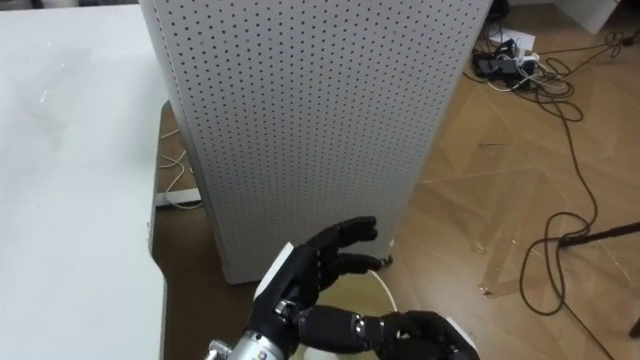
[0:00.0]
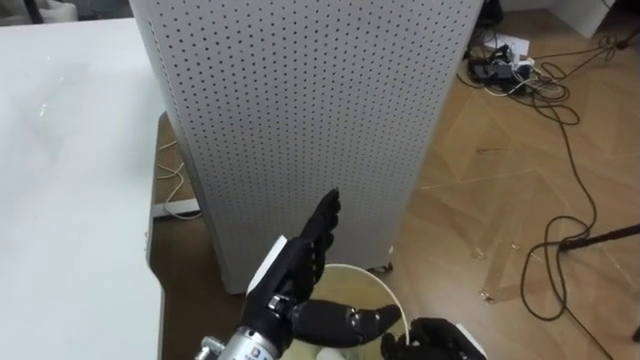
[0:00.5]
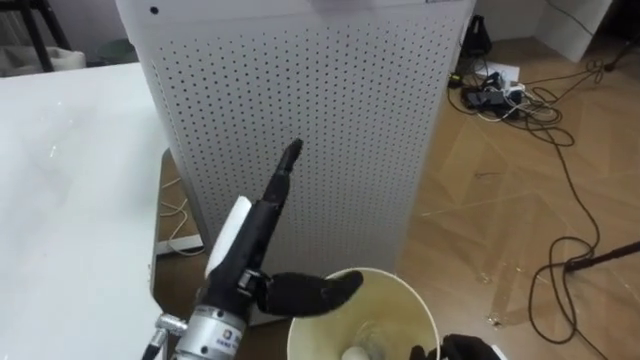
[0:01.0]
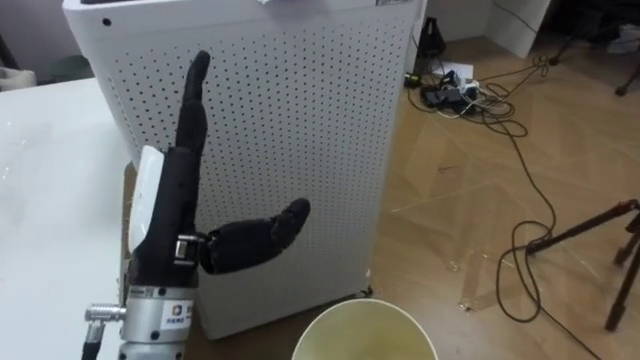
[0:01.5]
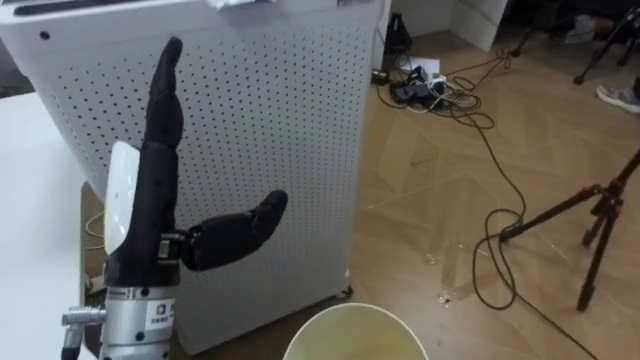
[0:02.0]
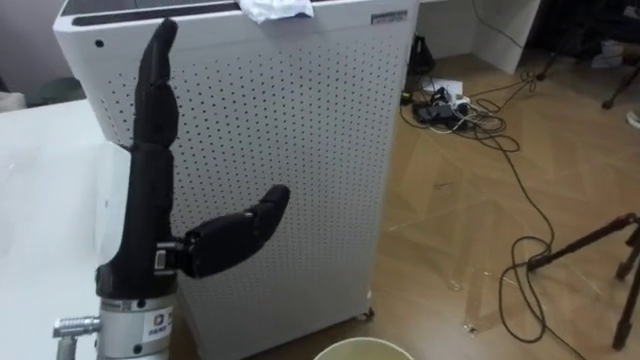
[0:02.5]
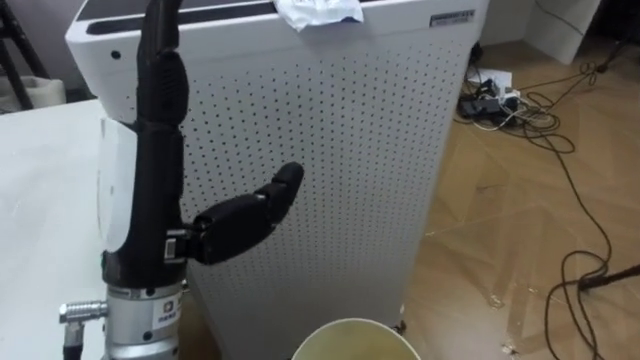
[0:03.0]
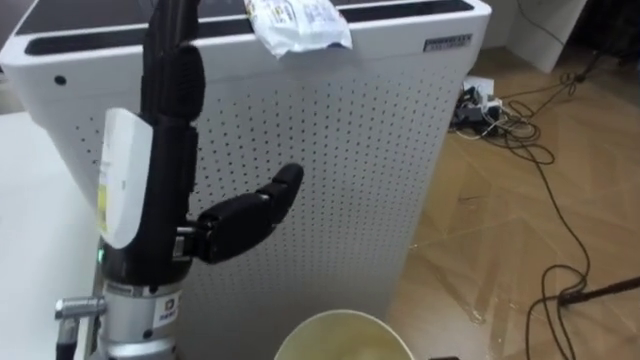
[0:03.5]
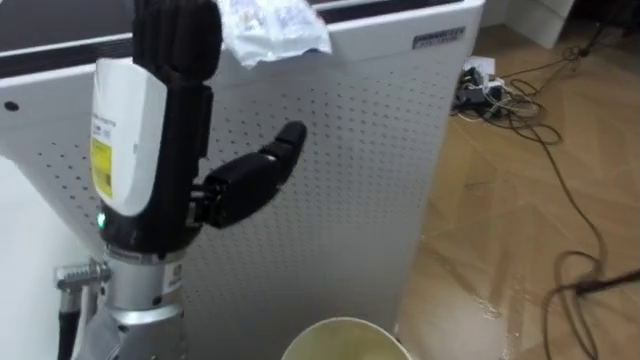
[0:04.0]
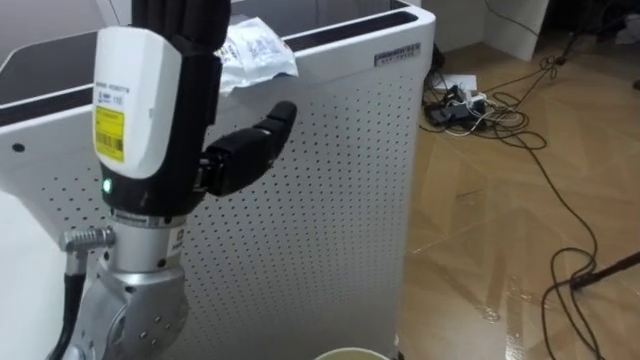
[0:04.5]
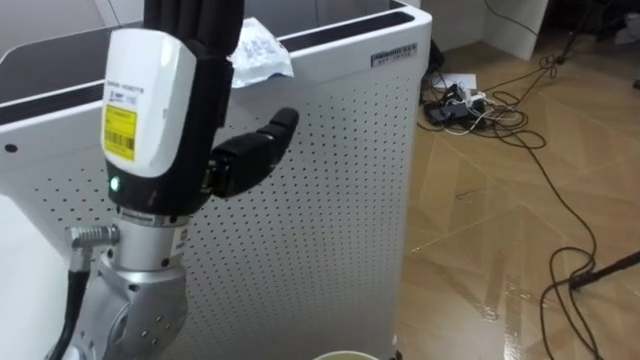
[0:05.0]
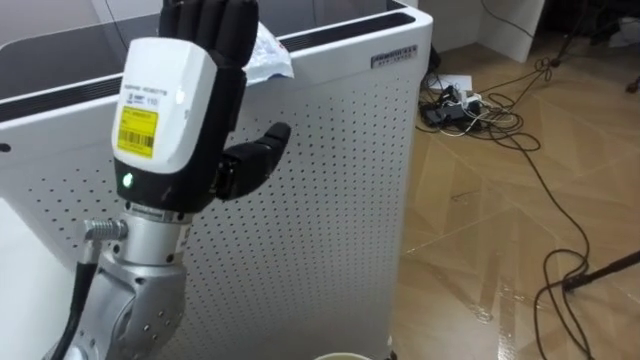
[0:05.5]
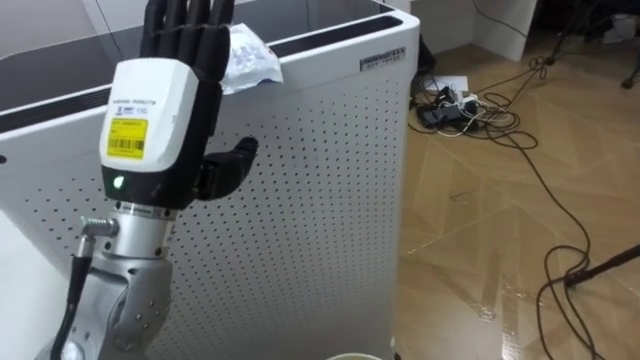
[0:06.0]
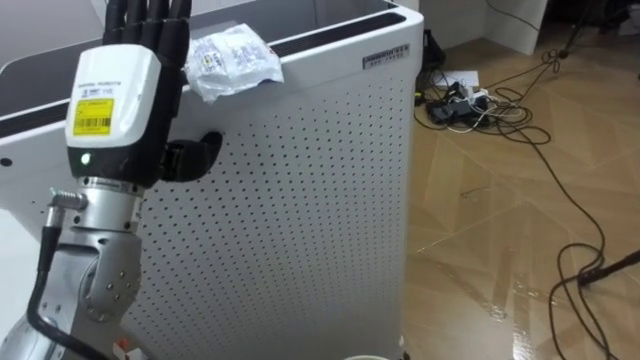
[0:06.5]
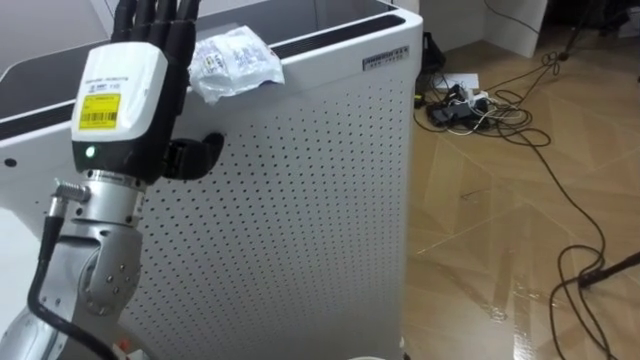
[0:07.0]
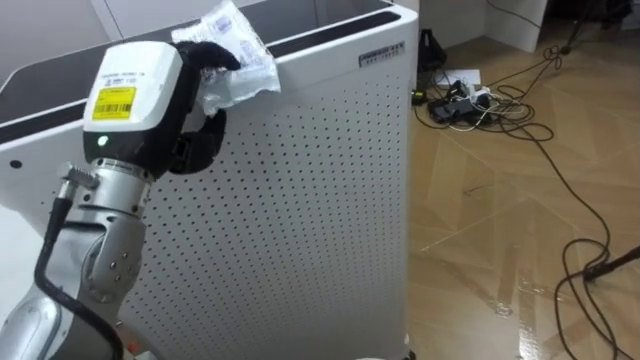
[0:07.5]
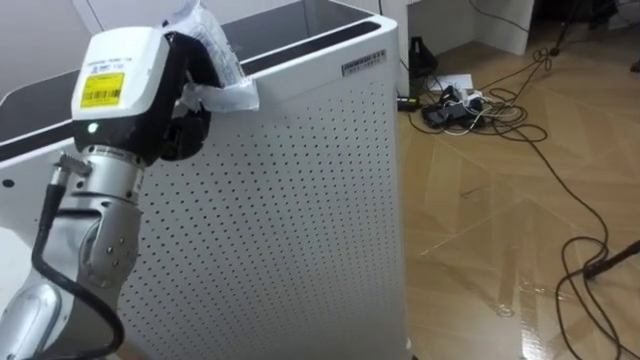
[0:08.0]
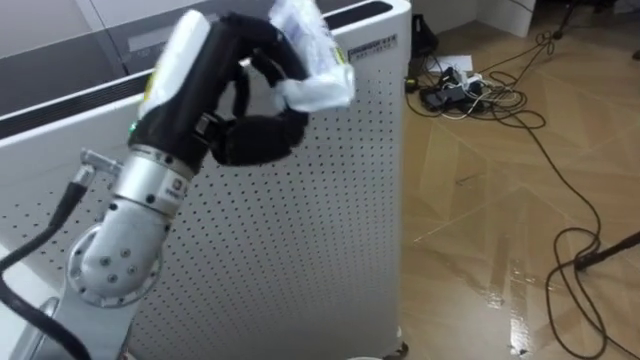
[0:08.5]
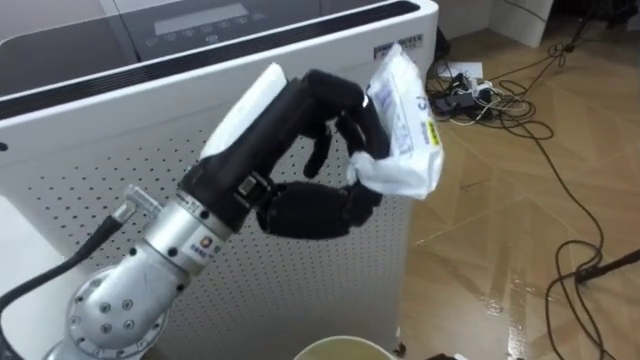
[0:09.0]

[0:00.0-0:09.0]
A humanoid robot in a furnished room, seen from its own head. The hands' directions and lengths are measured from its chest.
Task of the whole recording: Pick up the light blue package, the candy box, and the dark blue package separately, and put them into the trash can held in your right hand.
0:00.0 to 0:02.0: The robot turns to its right by some 15 degrees. The left hand is displaced upward and to the left by about 20 cm.
0:02.0 to 0:04.5: The left hand shifts approximately 10 cm upward.
0:04.5 to 0:07.0: The left hand travels forward and to the left by approximately 10 cm.
0:07.0 to 0:09.0: The left hand moves to the right and backward, some 10 cm, and closes its fingers.

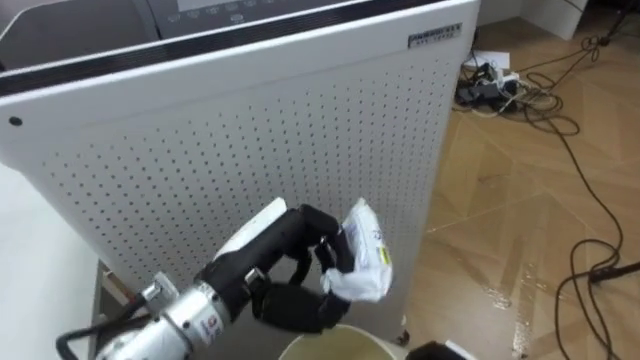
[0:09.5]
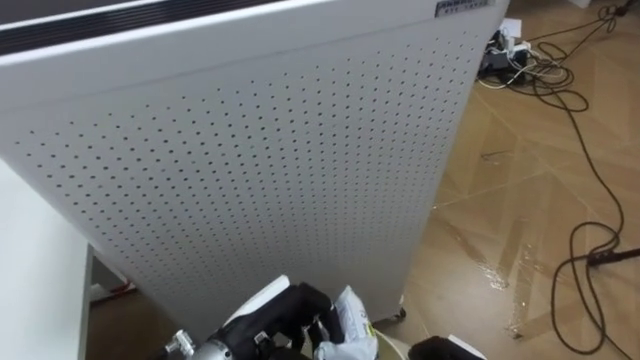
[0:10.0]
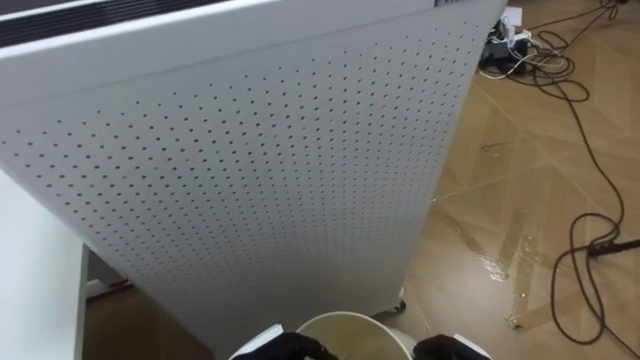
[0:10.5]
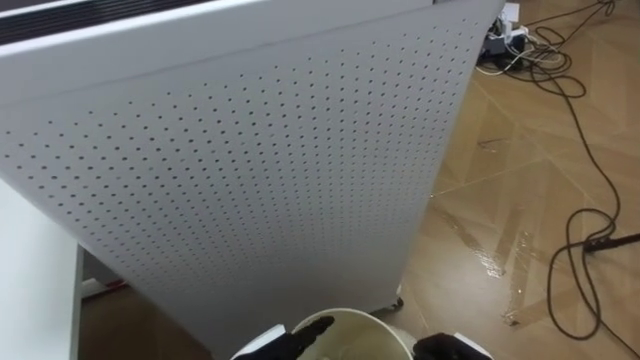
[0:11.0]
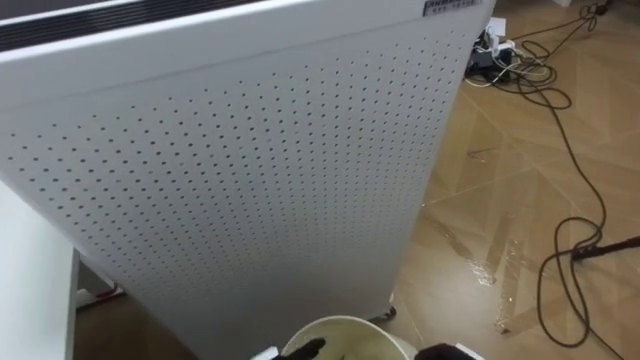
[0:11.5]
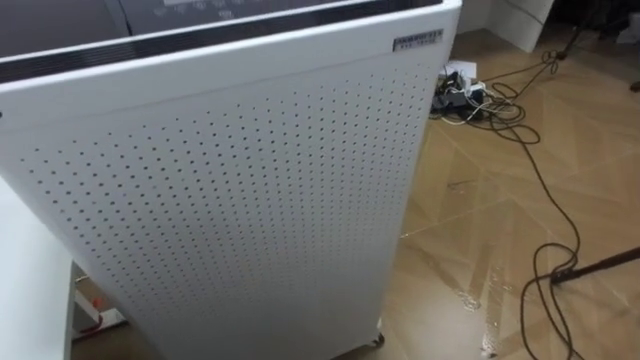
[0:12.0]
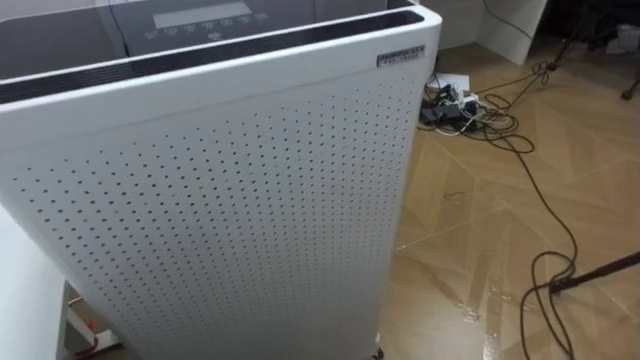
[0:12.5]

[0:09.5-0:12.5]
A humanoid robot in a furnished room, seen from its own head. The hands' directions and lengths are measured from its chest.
Task of the whole recording: Pick up the light blue package, the candy box, and the dark blue package separately, and put them into the trash can held in your right hand.
0:09.5 to 0:11.0: The left hand moves downward, some 20 cm, and opens.

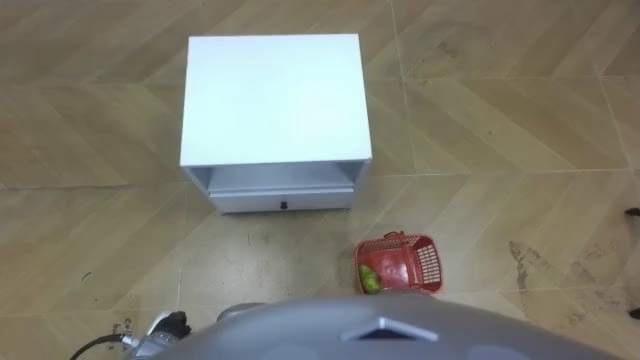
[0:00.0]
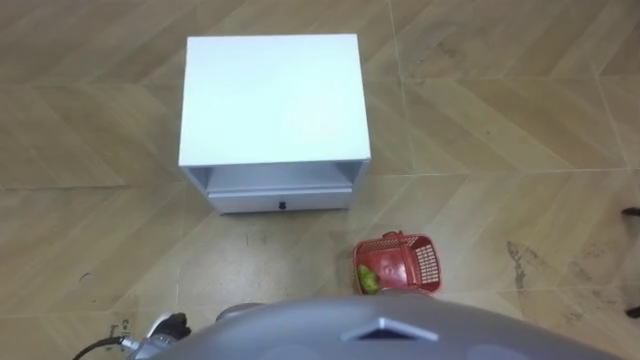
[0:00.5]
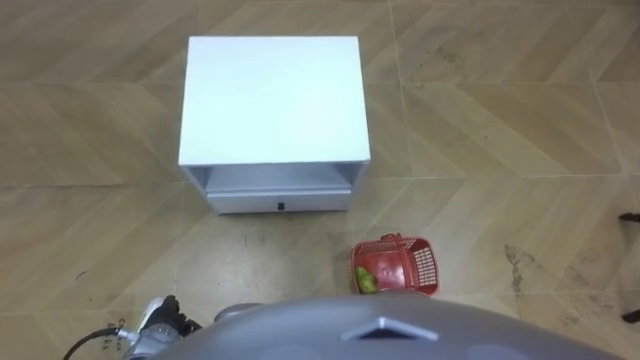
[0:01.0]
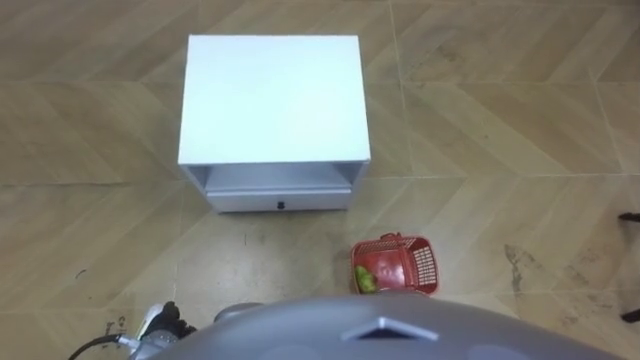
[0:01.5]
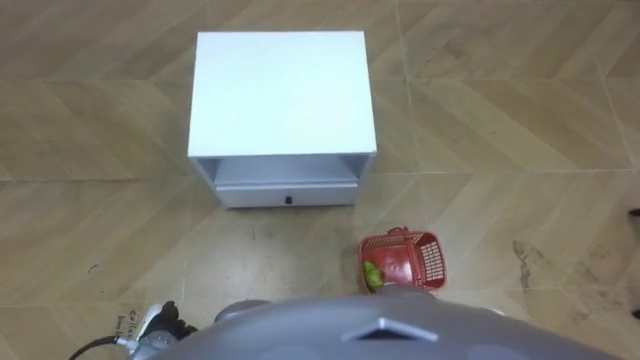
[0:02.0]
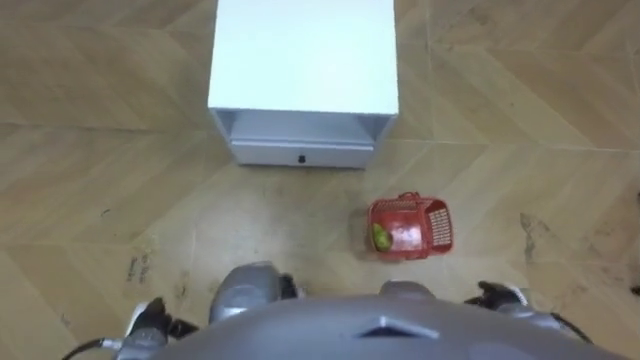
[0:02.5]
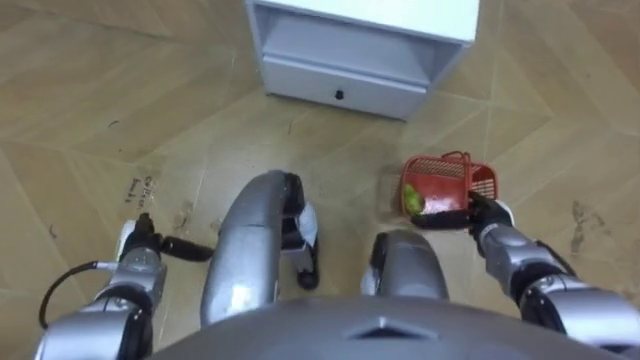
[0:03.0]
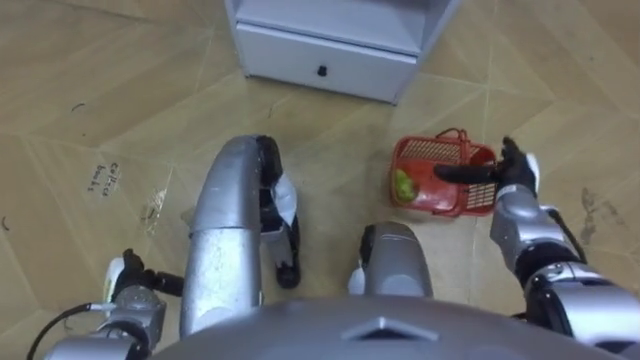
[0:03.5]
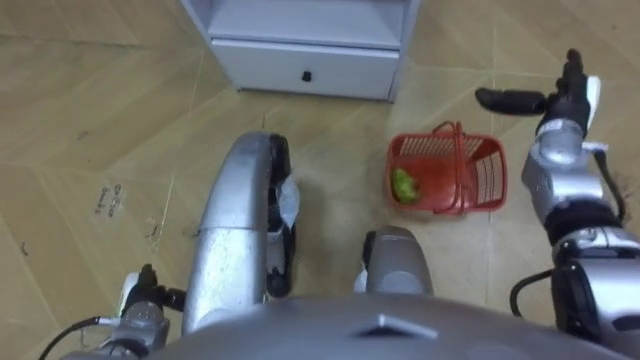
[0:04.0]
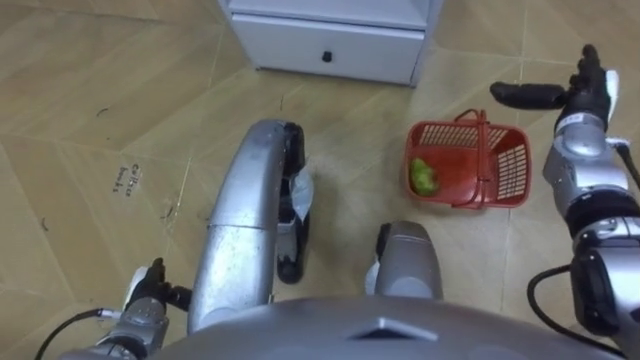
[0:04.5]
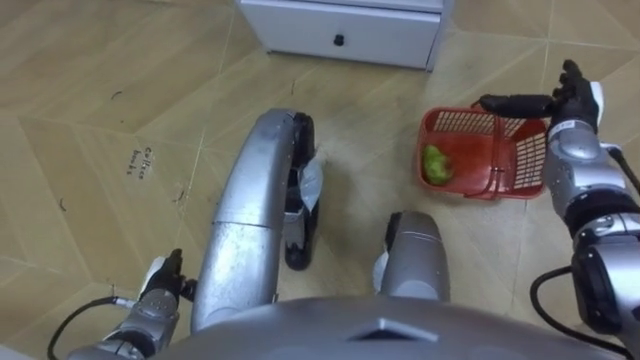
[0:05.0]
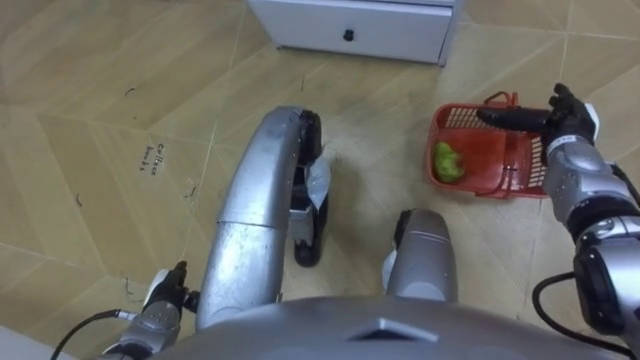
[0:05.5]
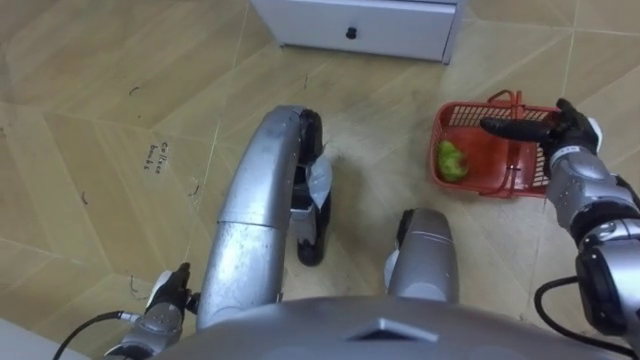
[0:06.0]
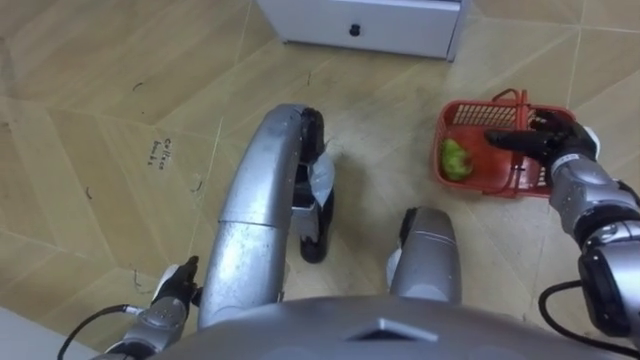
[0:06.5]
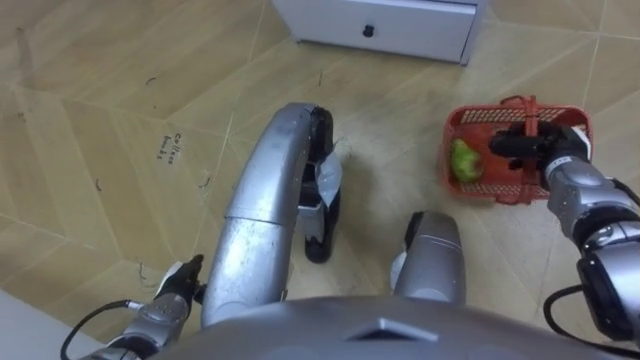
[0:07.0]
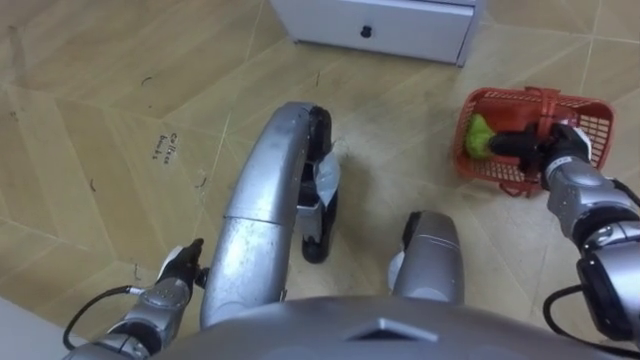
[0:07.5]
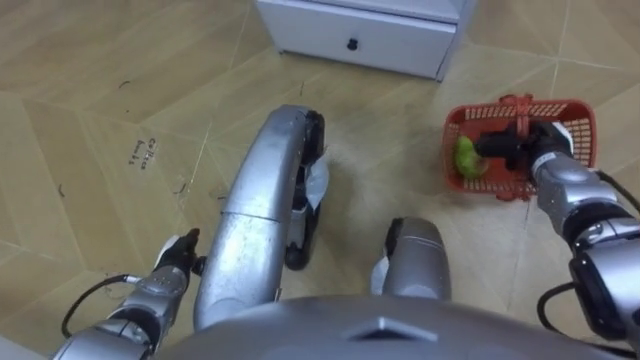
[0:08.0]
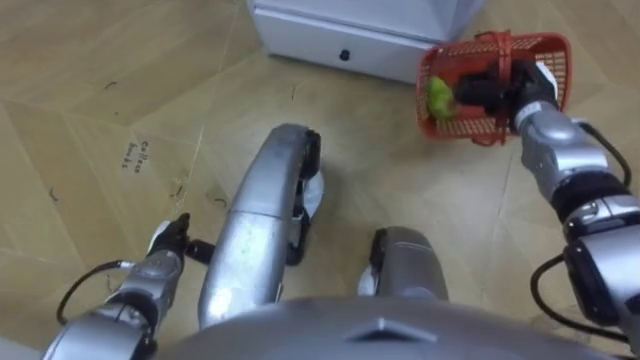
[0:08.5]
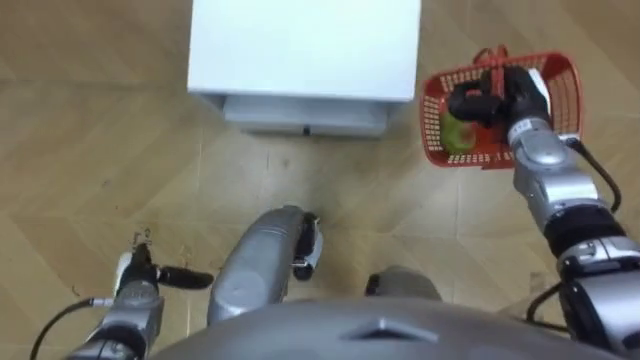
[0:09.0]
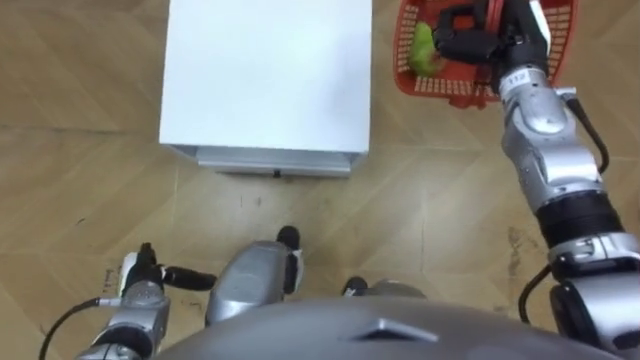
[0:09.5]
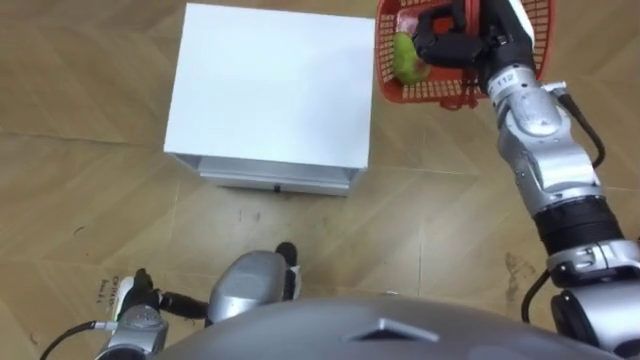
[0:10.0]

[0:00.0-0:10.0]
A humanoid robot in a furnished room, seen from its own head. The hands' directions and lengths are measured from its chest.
Task of the whole recording: Pick up the fruit basket from the floor and place it on the cabinet.
0:02.0 to 0:04.0: The left hand travels forward and back again, approximately 15 cm each way, while the right hand travels forward and upward by approximately 35 cm.
0:04.0 to 0:06.0: The right hand shifts by some 5 cm.
0:06.0 to 0:08.0: The left hand shifts about 5 cm forward; the right hand closes up.
0:08.0 to 0:10.0: The right hand is displaced upward, to the left and forward by about 20 cm, while the left hand heads backward and to the left, covering roughly 10 cm.
